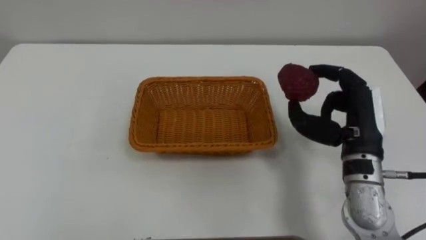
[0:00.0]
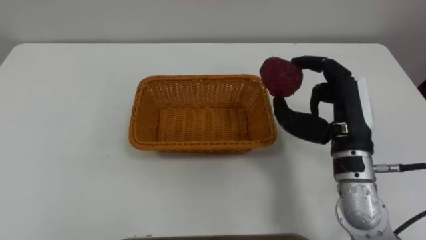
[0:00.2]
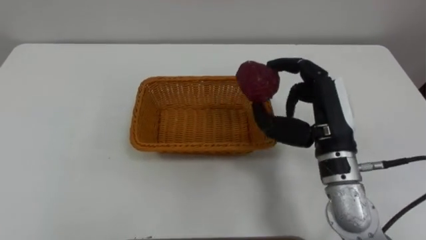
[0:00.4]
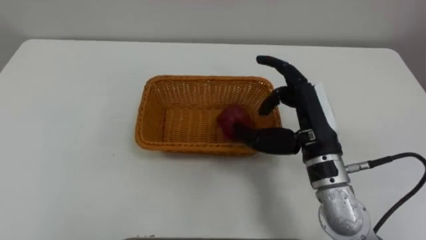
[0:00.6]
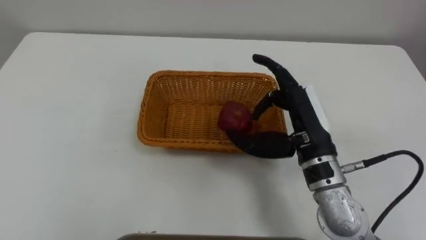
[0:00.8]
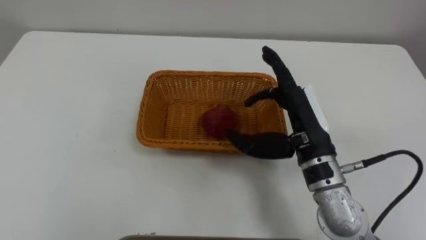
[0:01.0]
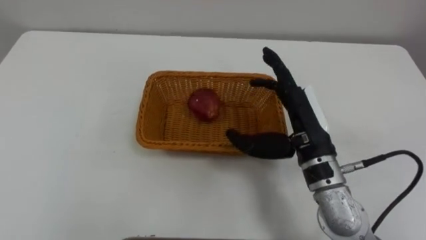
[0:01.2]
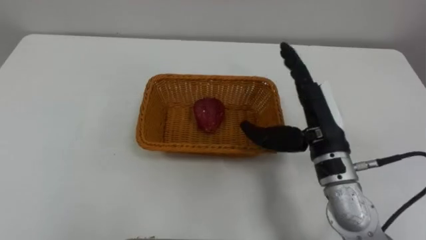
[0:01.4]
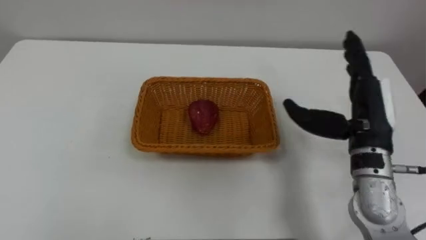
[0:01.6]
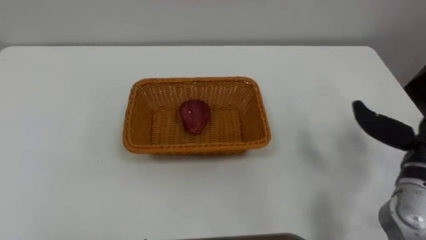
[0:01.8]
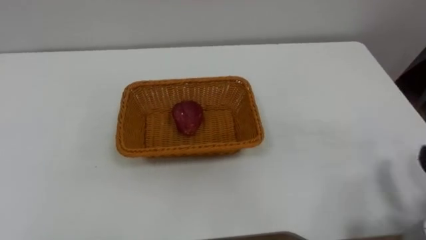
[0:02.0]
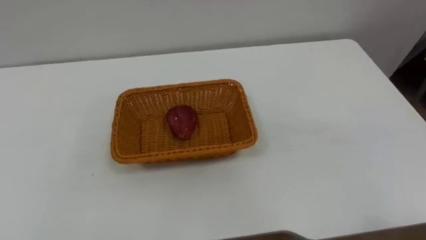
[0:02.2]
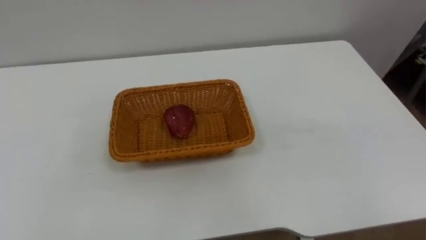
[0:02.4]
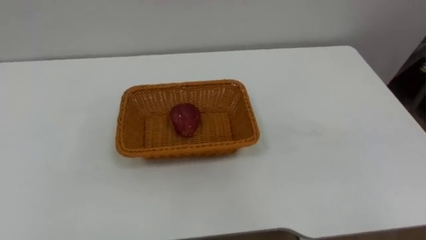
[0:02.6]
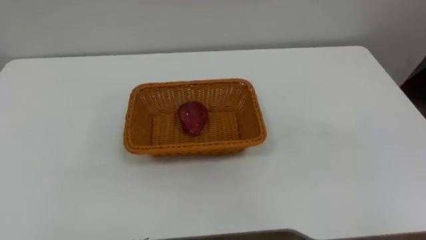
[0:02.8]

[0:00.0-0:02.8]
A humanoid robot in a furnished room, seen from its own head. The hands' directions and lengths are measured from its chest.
Task of the whole recording: Pick the apple and place it in the box.
0:00.0 to 0:01.4: The right hand is displaced to the left by approximately 5 cm, and opens its fingers.

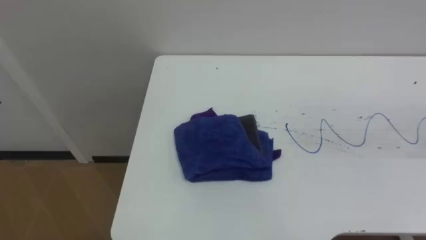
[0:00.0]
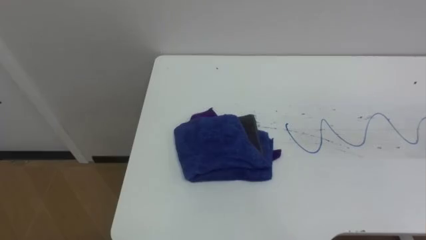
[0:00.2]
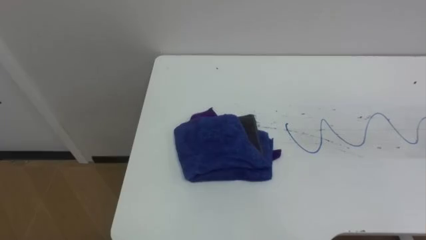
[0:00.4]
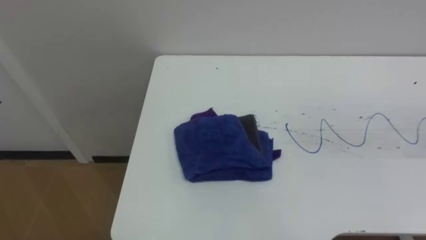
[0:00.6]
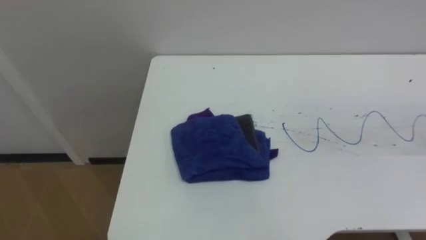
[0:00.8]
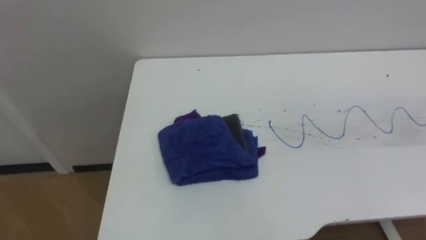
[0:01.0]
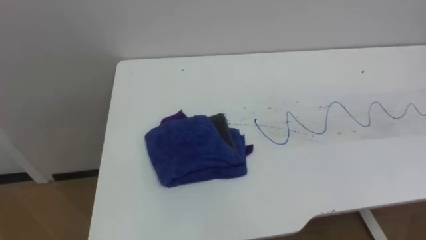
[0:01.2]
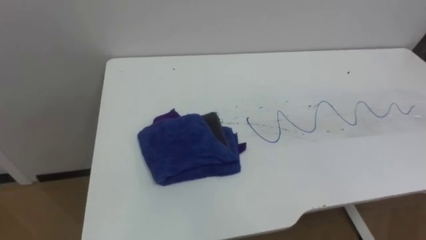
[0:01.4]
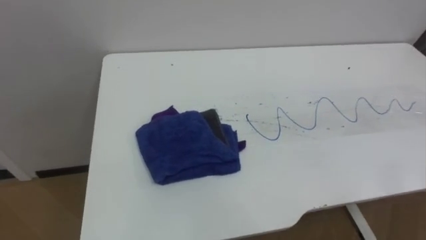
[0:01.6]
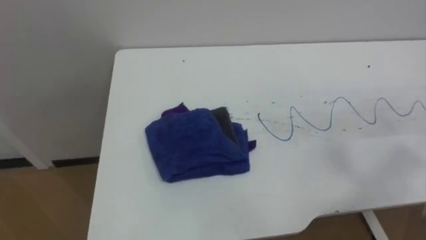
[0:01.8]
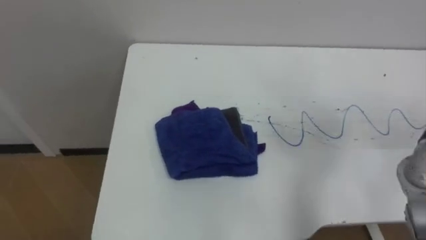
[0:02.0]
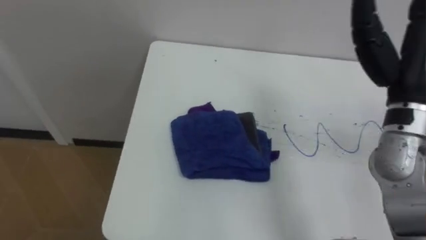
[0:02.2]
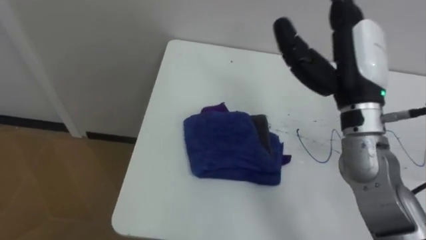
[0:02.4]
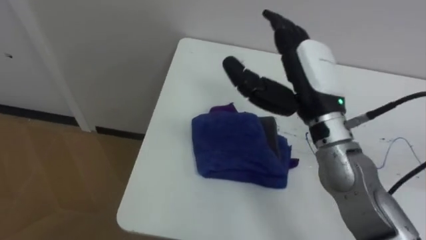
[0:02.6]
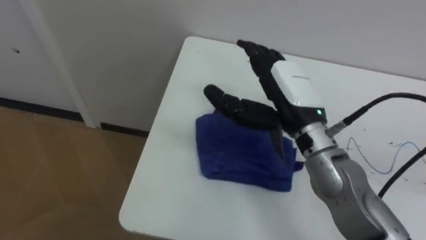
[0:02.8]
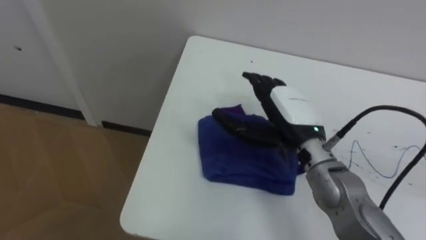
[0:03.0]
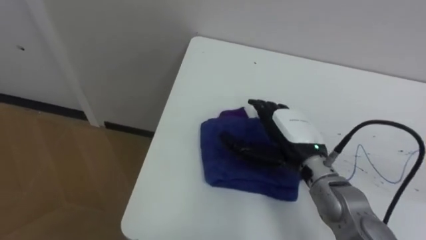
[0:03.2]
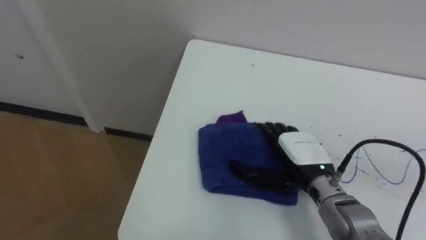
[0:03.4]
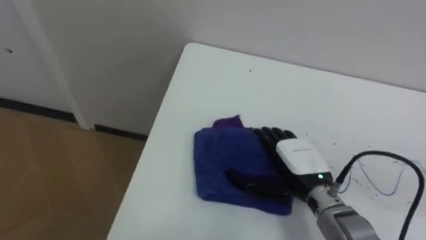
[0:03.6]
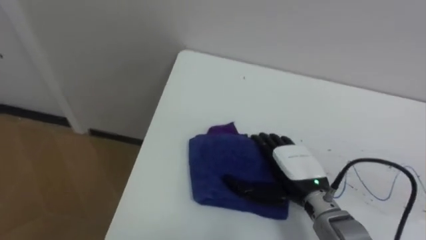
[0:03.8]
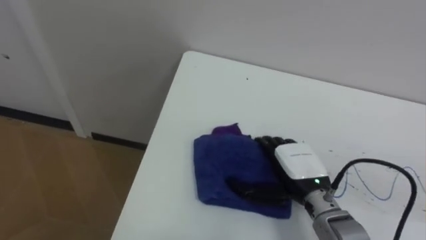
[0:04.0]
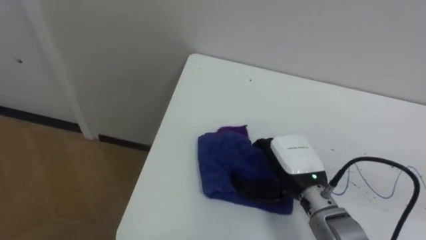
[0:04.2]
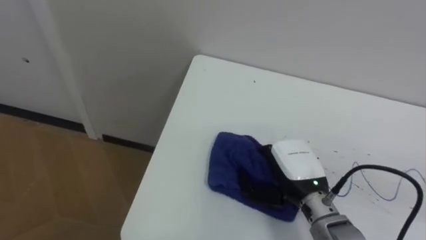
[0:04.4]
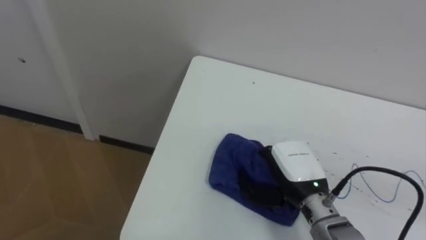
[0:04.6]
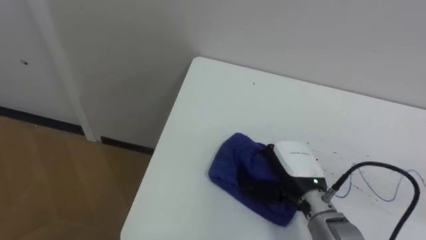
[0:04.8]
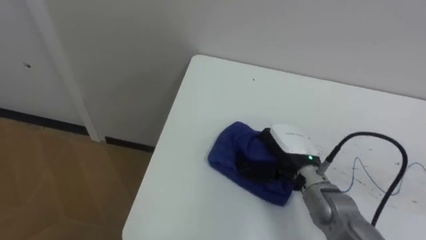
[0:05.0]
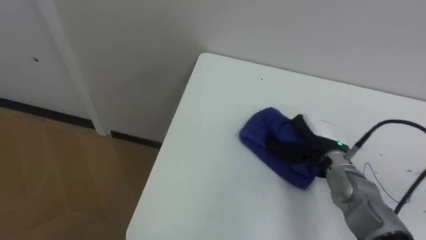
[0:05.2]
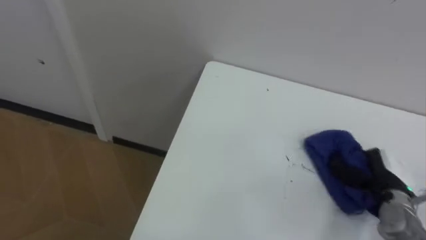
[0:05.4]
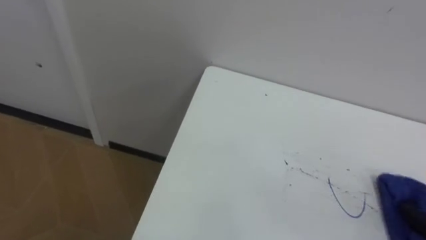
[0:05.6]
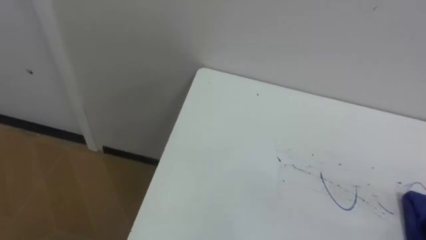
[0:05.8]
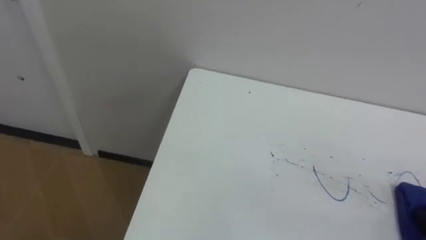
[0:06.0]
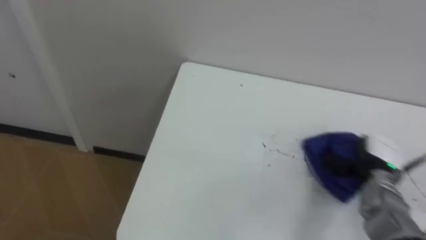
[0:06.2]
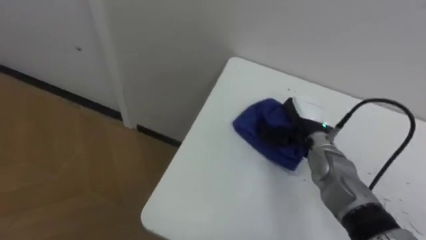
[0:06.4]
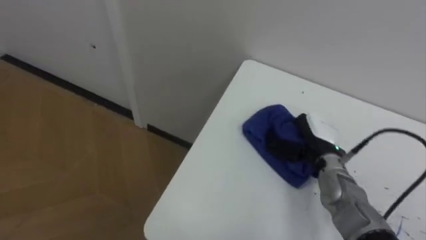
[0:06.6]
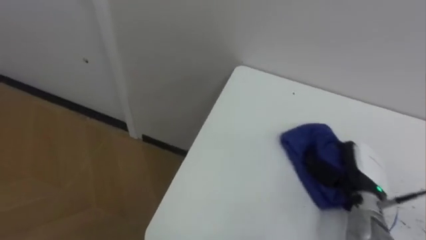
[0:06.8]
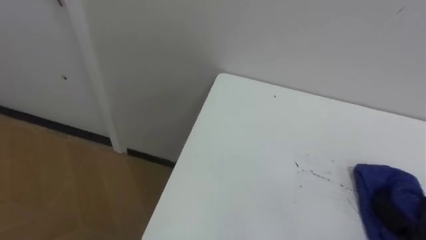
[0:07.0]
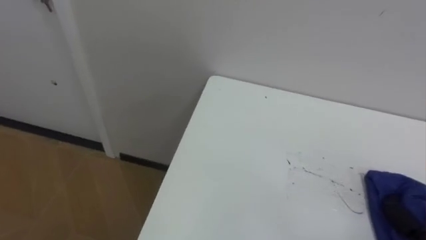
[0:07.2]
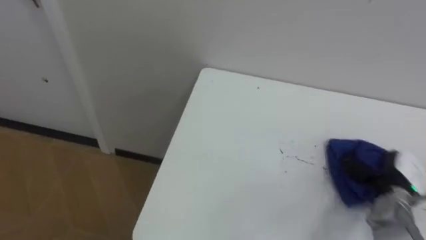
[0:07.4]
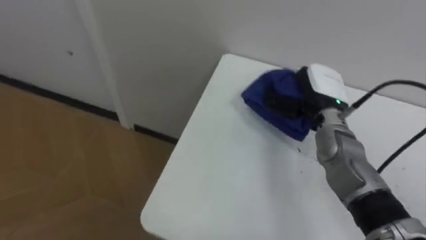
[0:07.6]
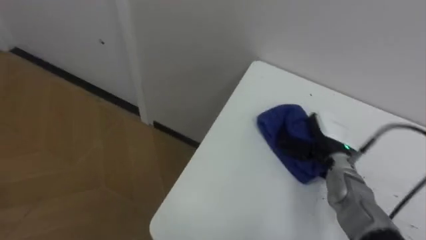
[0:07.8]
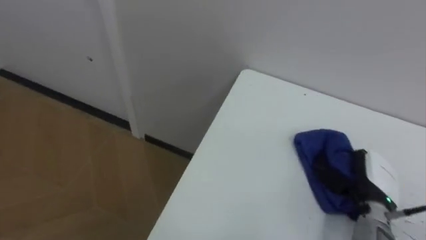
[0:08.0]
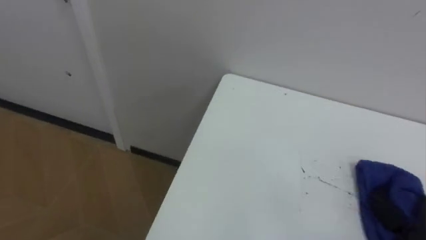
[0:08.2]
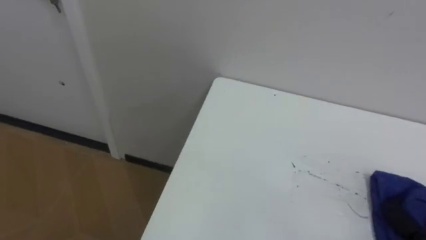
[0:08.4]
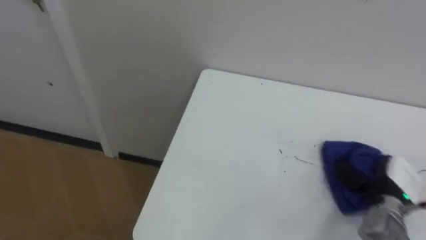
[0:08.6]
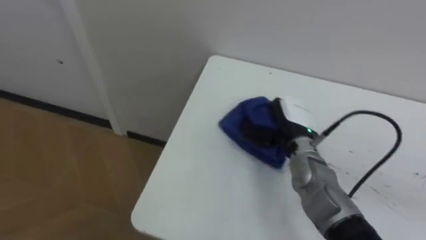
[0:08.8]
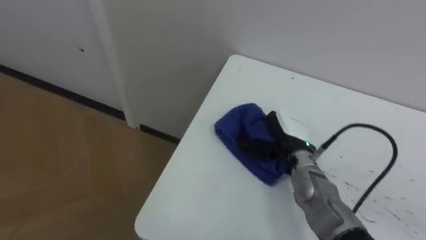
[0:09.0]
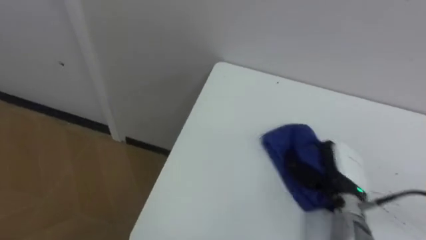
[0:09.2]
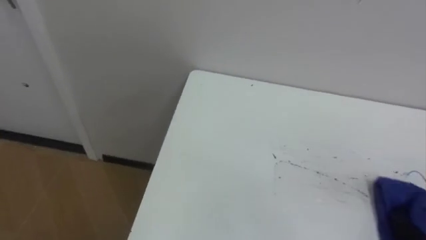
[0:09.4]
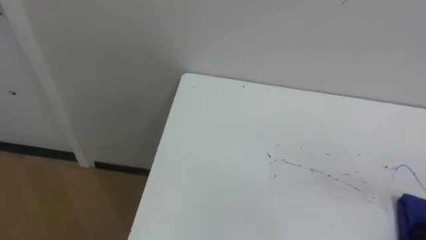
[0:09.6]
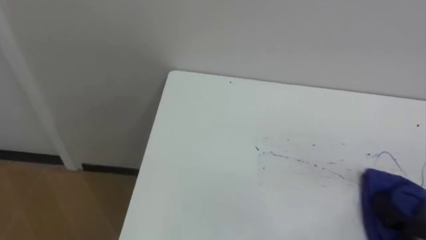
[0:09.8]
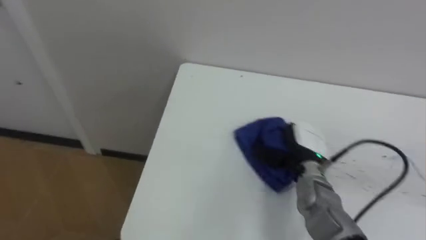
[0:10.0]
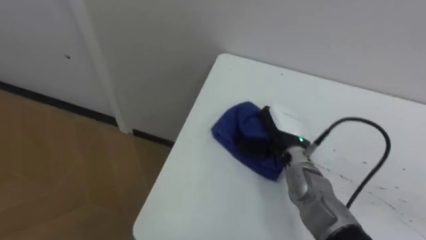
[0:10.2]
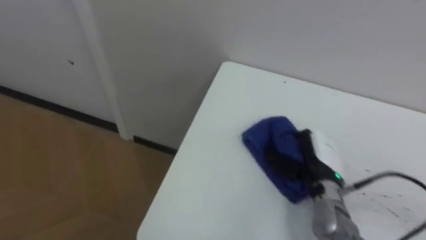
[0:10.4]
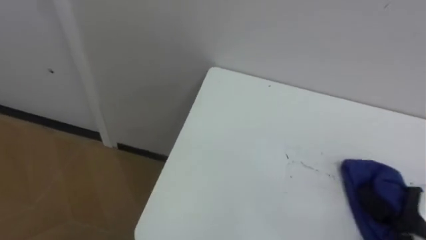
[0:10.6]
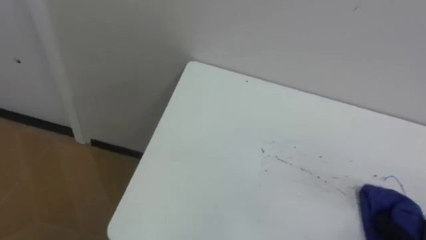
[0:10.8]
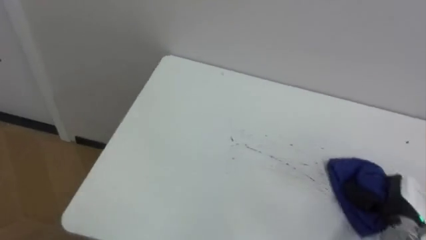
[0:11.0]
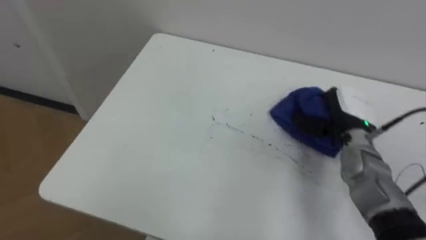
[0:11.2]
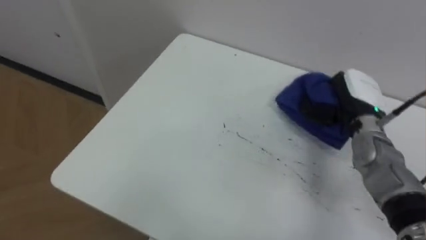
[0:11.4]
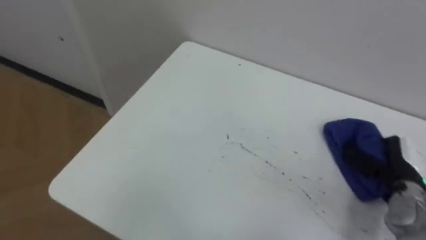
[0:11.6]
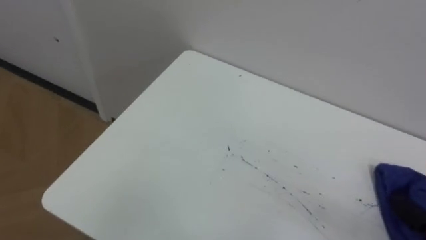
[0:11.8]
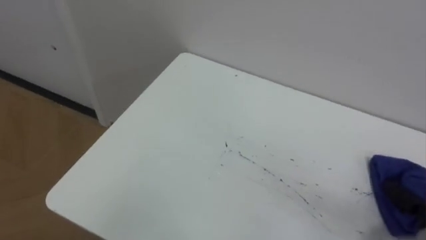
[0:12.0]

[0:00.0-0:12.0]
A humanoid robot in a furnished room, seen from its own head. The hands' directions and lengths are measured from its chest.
Task of the whole recording: Wipe the blue pen marks off the table with the rag.
0:03.0 to 0:04.4: The right hand goes roughly 10 cm downward and backward, and closes.

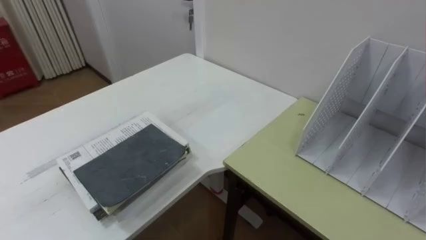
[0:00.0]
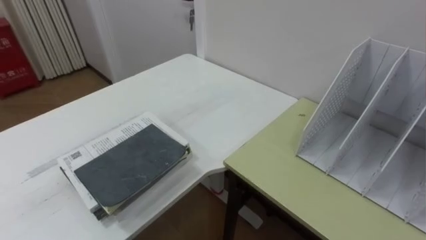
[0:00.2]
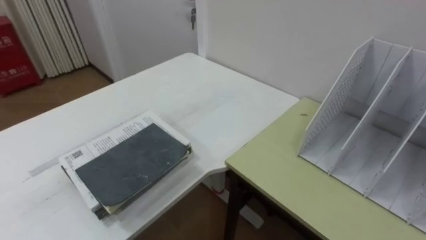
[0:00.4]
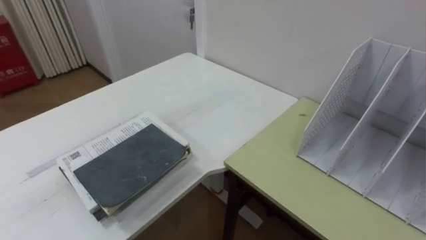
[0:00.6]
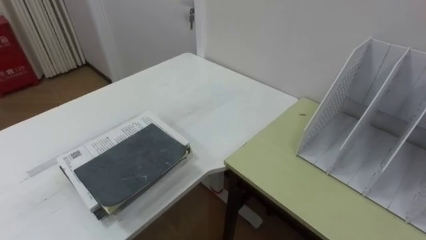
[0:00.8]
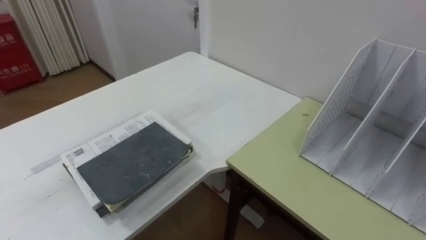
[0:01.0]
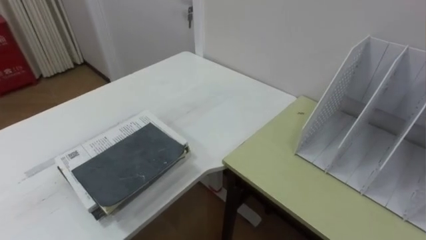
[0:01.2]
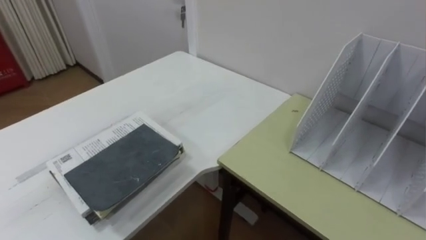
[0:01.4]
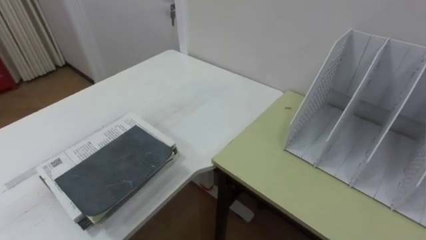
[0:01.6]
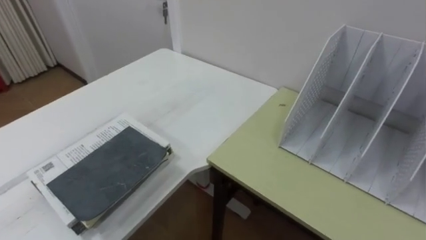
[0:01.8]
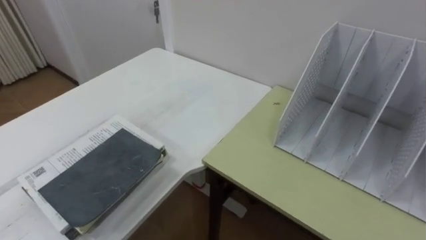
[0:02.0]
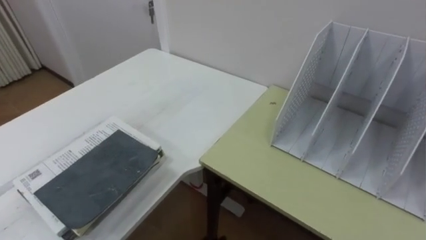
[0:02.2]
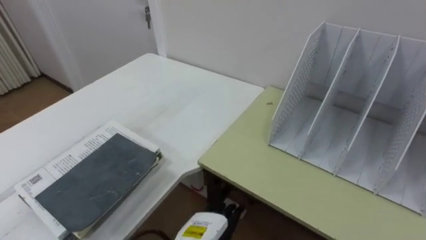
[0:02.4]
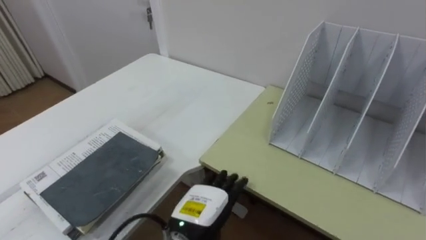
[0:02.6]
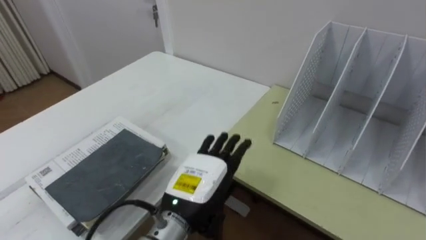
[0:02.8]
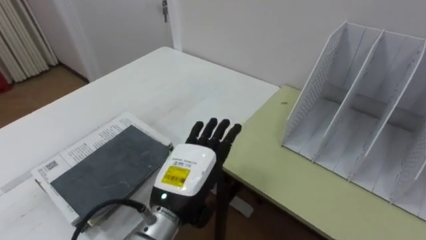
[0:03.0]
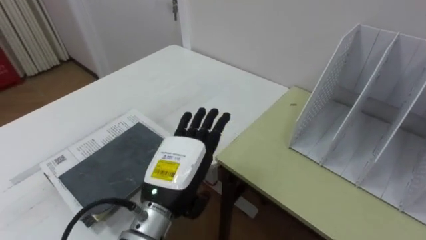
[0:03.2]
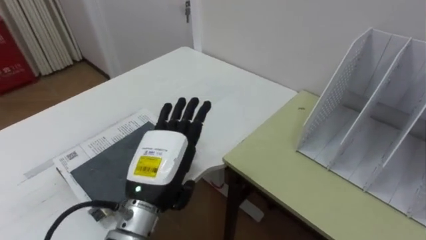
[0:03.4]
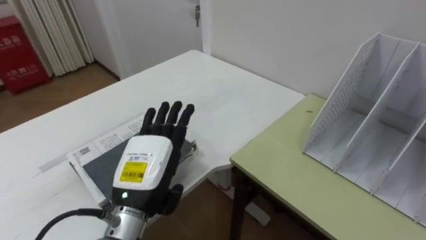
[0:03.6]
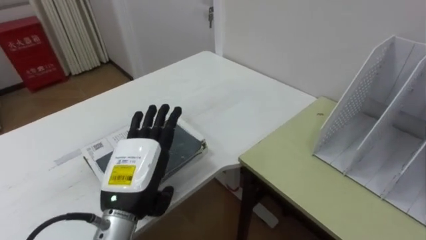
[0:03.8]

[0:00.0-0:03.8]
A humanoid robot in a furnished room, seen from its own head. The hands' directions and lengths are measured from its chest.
Task of the whole recording: Put the books on the table onto the bookshelf.
0:02.6 to 0:03.8: The left hand shifts roughly 15 cm to the left and upward.
